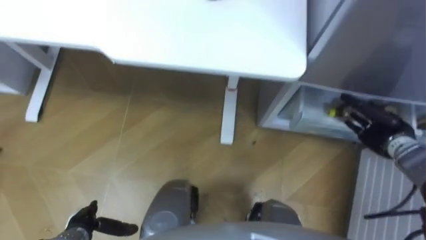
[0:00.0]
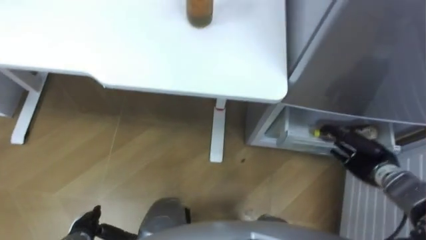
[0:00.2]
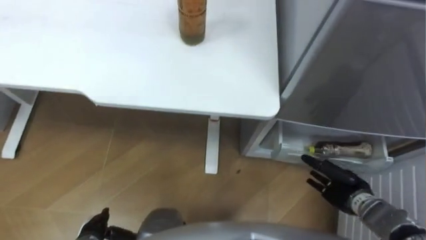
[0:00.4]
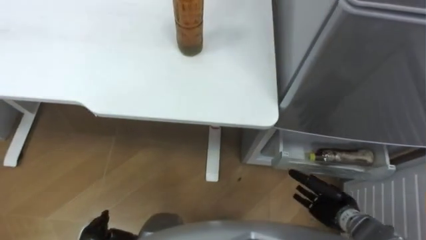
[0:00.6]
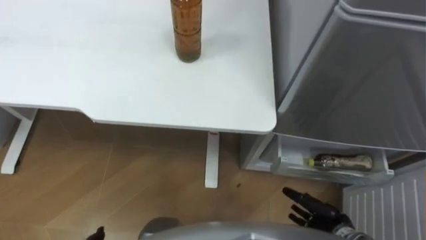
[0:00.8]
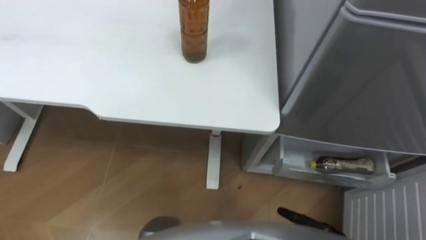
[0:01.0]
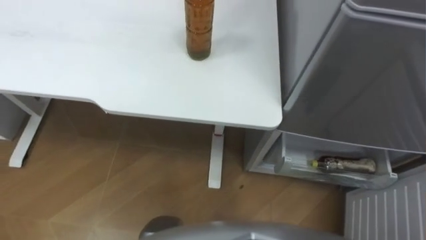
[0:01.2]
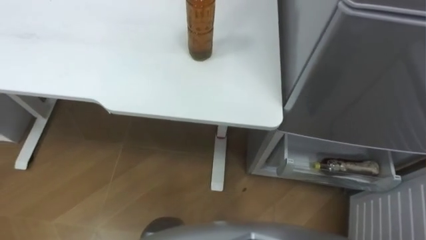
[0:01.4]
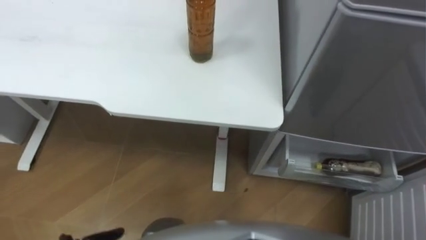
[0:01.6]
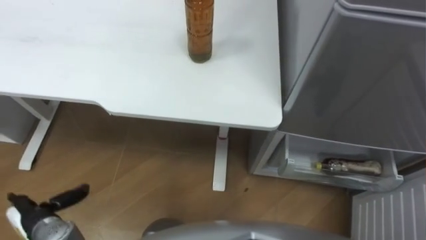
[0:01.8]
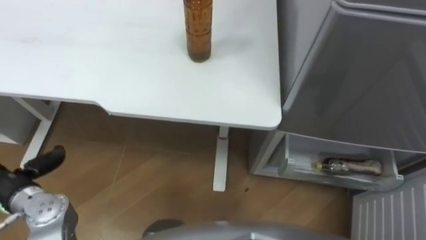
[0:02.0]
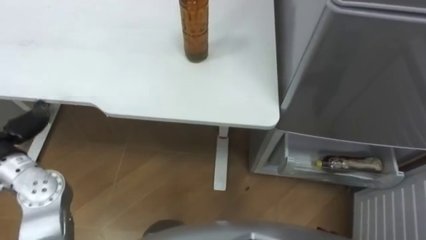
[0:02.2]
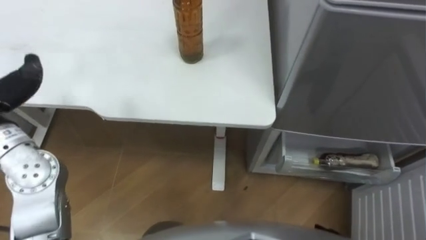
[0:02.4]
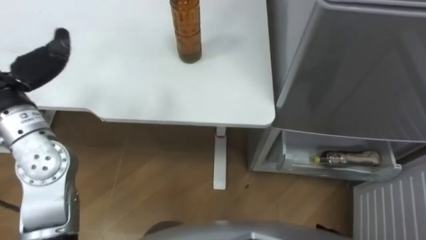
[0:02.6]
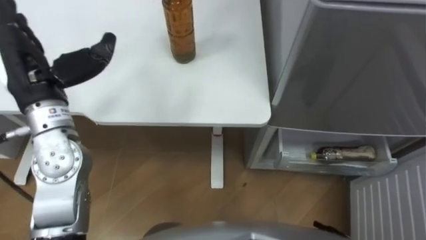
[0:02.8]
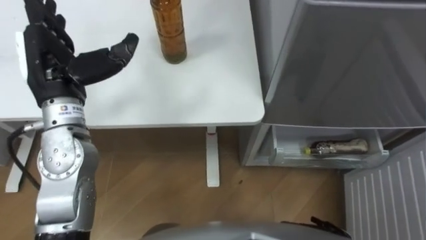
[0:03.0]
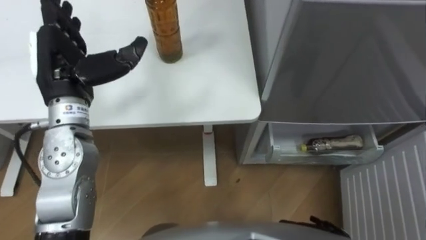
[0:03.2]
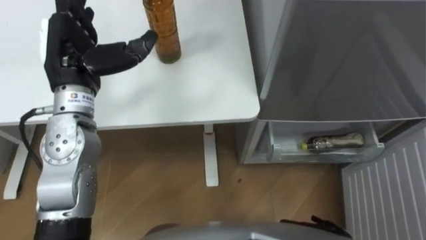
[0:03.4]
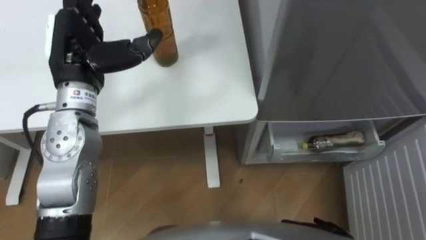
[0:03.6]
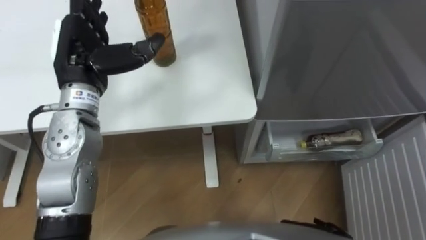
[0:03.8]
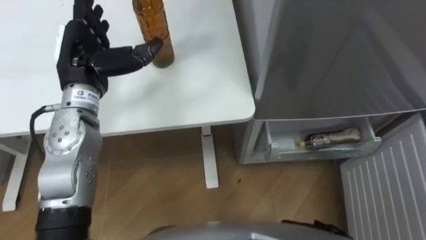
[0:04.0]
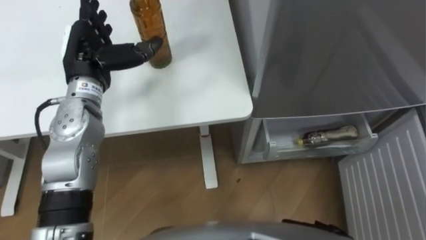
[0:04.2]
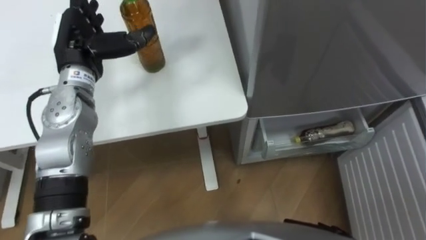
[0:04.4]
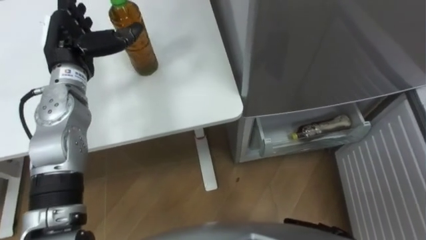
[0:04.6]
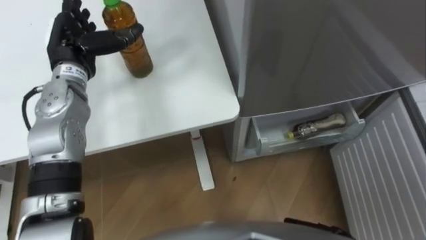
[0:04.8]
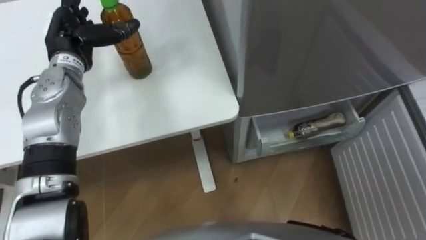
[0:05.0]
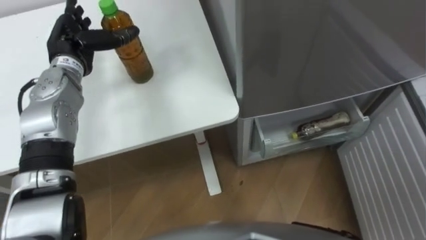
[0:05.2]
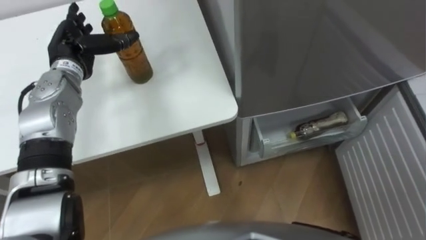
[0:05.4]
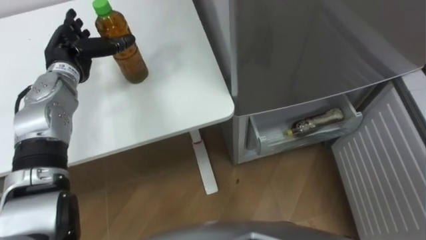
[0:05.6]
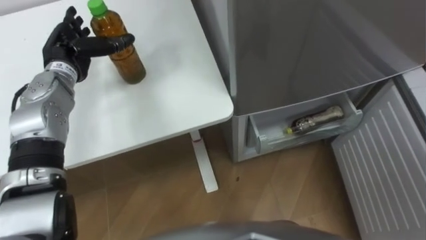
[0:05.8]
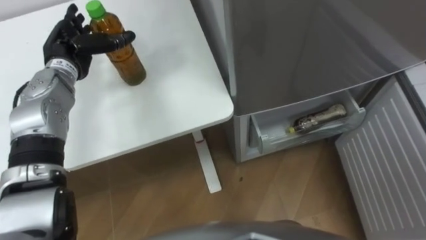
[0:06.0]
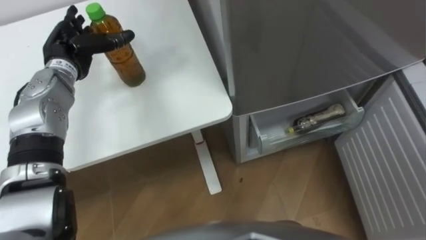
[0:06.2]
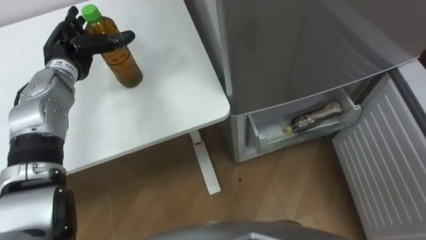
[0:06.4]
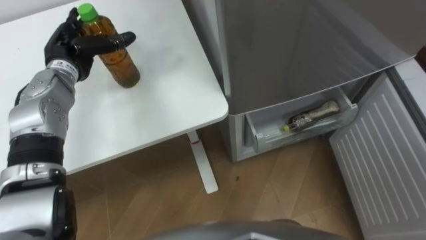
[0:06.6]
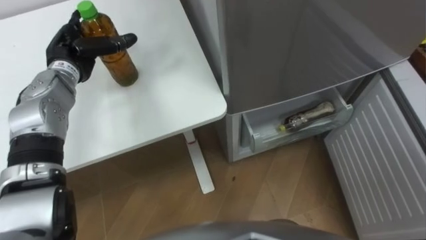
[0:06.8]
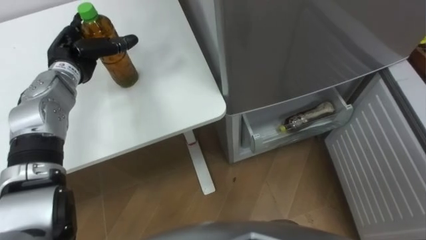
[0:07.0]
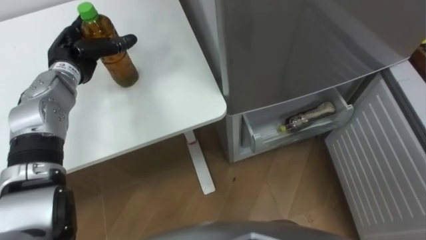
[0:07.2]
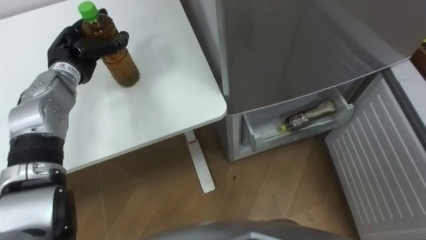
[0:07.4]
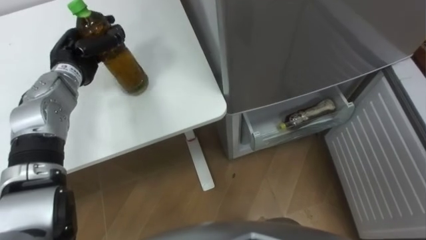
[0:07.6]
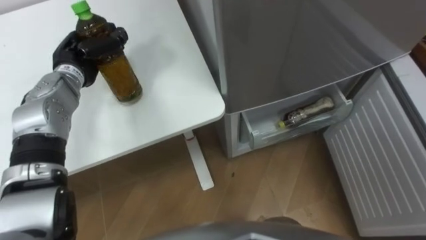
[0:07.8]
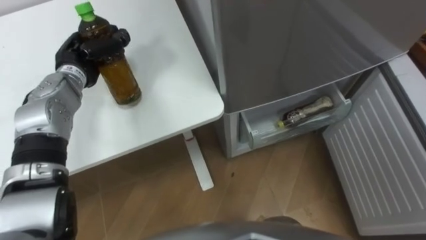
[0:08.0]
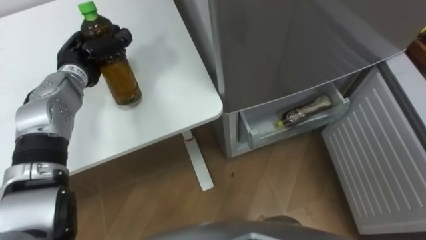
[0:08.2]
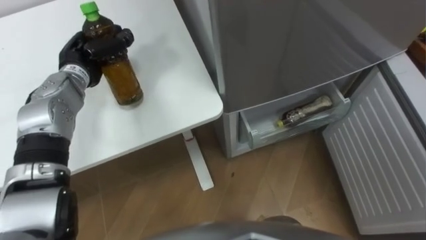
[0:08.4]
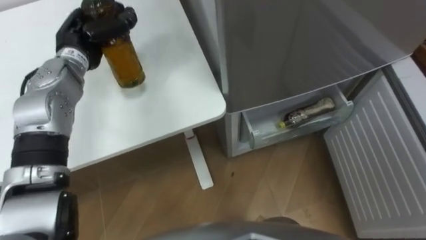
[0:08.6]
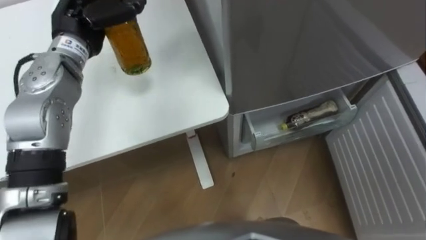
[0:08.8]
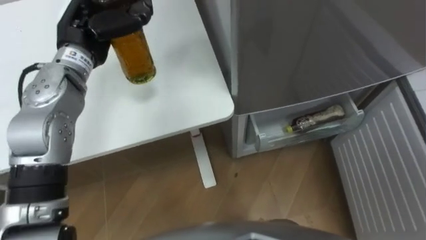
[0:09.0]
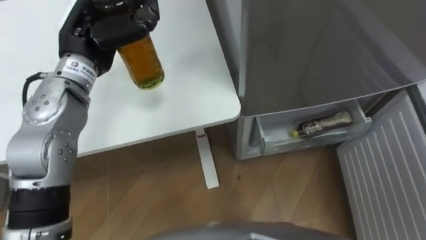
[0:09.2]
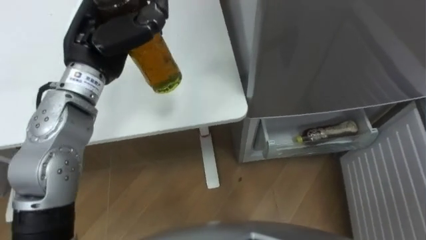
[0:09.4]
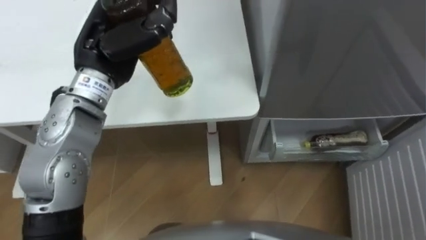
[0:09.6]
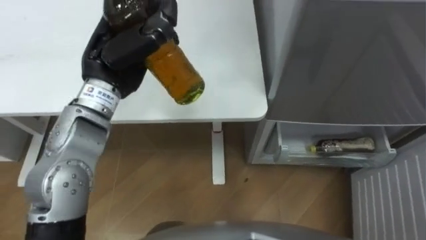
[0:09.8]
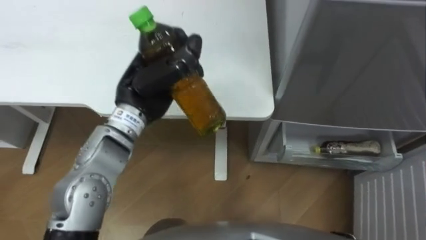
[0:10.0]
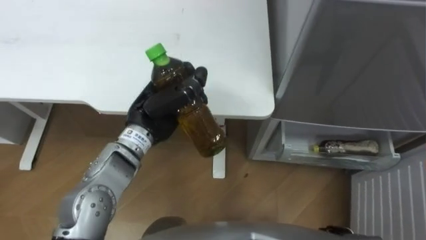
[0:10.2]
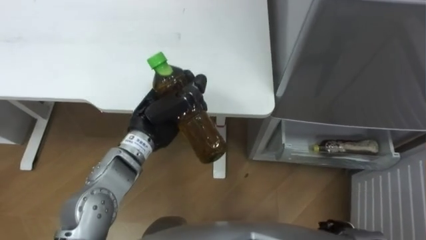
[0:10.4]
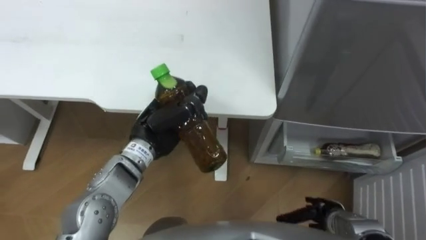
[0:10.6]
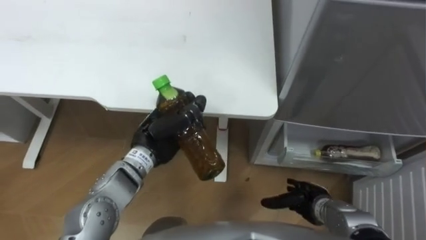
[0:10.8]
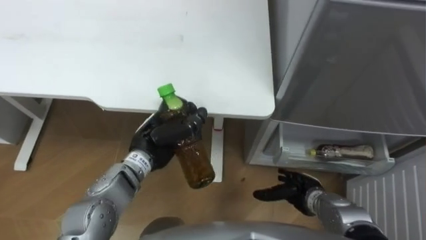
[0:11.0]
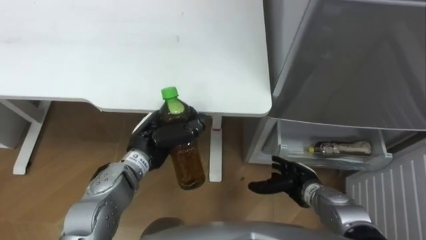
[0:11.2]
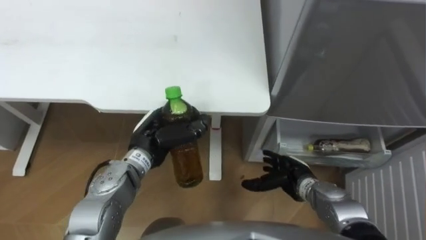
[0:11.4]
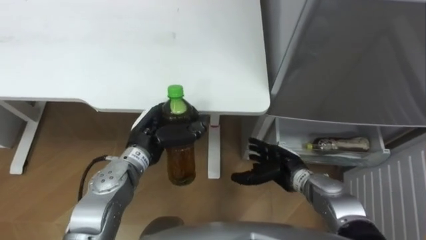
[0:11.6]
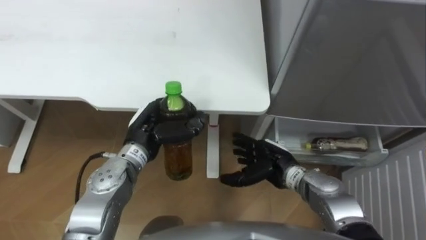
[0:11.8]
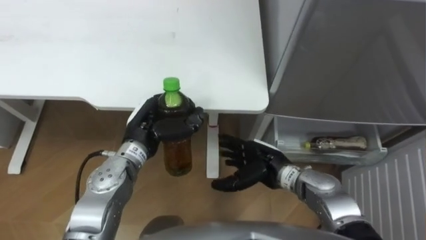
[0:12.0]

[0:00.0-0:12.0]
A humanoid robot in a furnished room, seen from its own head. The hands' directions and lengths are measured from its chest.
Task of the whole recording: Place the drink on the table on the bottom shelf of the refrigerator, then close the drawer and the refrigerator door.
0:03.0 to 0:04.4: The left hand shifts about 5 cm forward.
0:04.4 to 0:06.0: The left hand moves about 5 cm.
0:06.0 to 0:07.6: The left hand closes.
0:07.6 to 0:09.0: The left hand shifts about 10 cm upward and to the right.
0:09.0 to 0:10.4: The left hand shifts approximately 15 cm backward, downward and to the right.
0:10.4 to 0:12.0: The right hand travels to the left, forward and upward by about 25 cm.

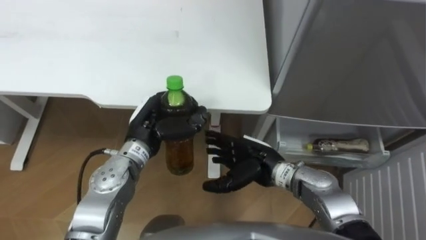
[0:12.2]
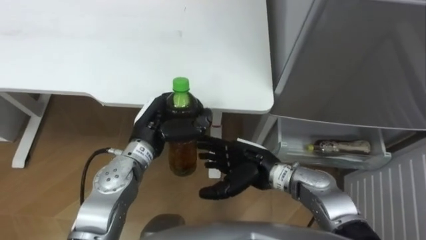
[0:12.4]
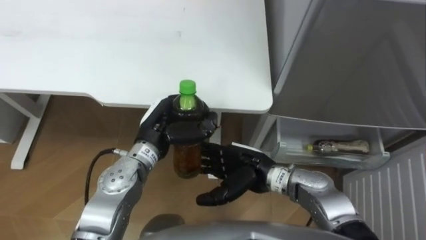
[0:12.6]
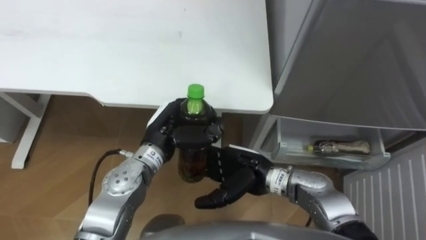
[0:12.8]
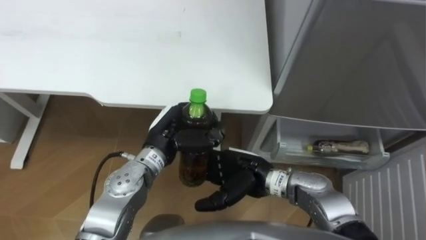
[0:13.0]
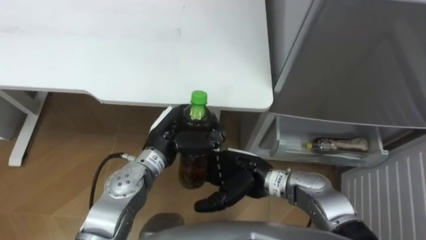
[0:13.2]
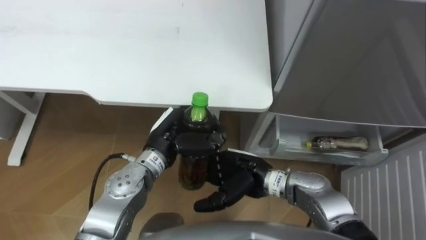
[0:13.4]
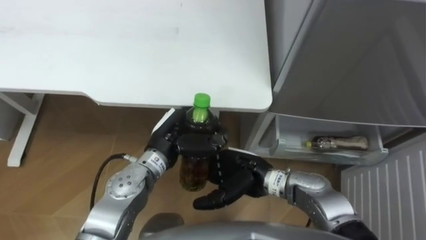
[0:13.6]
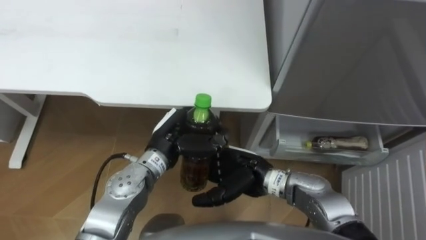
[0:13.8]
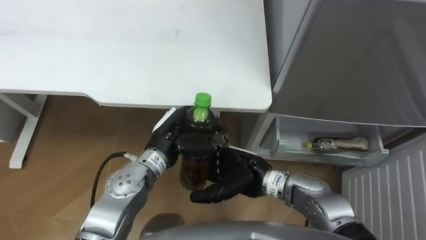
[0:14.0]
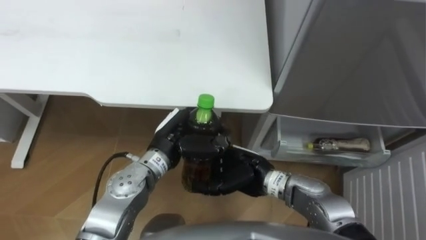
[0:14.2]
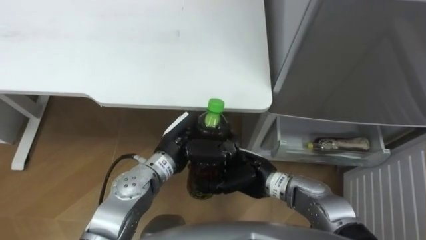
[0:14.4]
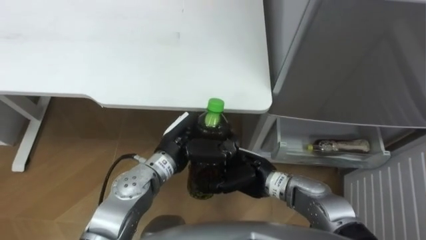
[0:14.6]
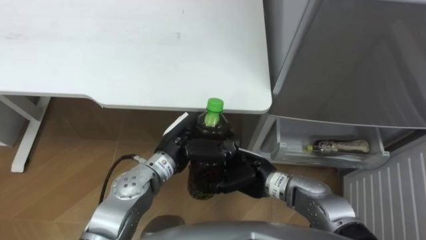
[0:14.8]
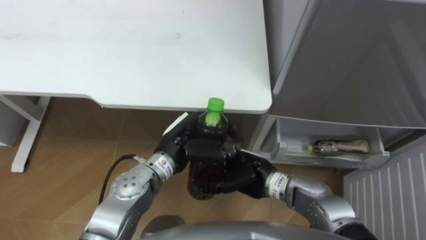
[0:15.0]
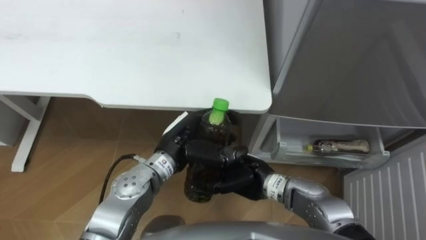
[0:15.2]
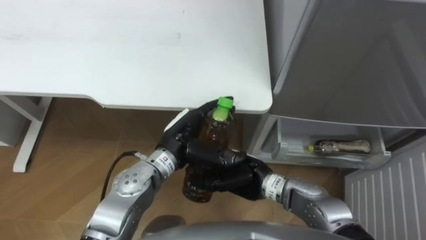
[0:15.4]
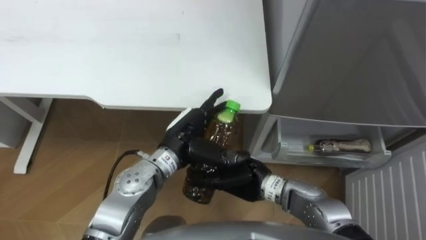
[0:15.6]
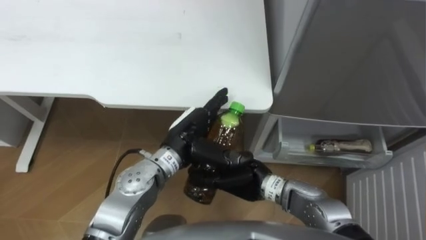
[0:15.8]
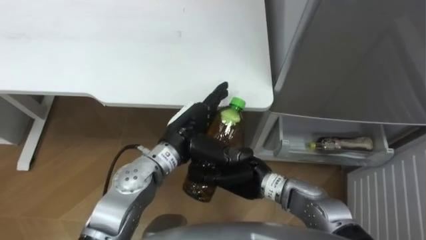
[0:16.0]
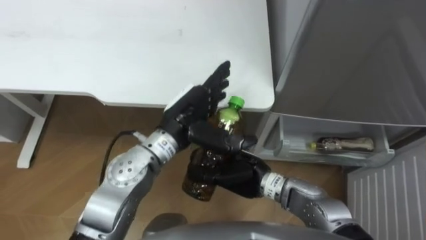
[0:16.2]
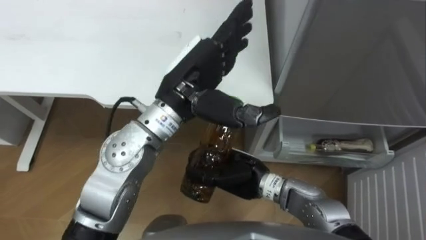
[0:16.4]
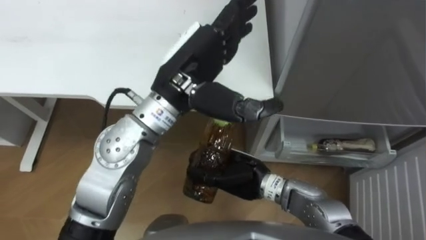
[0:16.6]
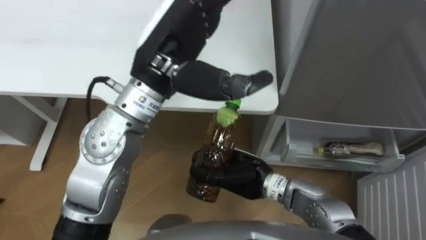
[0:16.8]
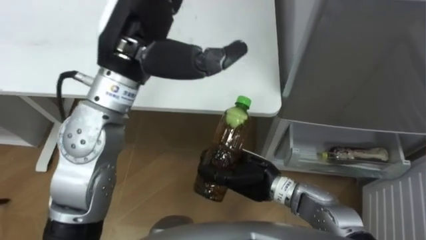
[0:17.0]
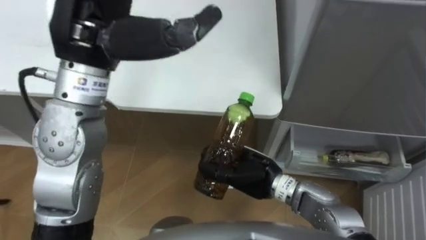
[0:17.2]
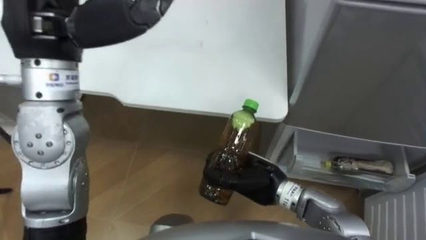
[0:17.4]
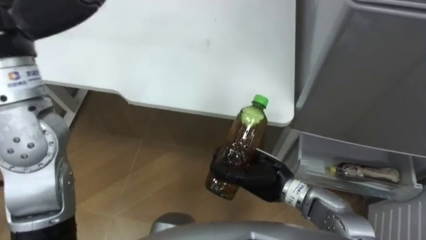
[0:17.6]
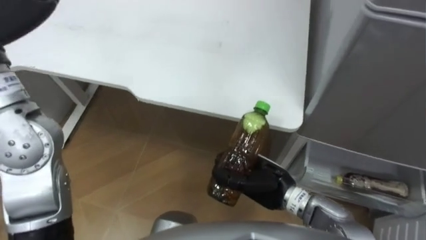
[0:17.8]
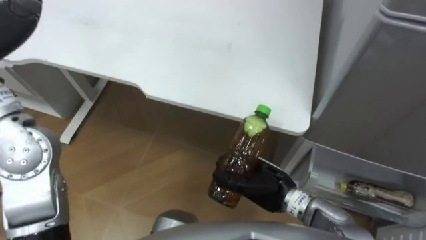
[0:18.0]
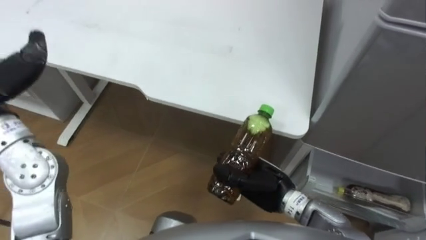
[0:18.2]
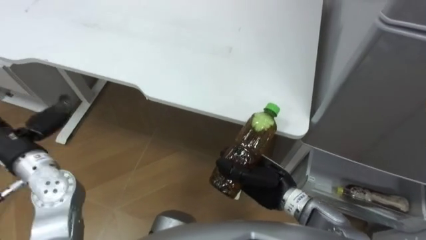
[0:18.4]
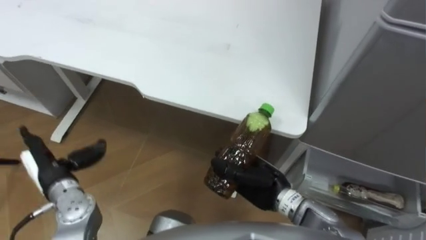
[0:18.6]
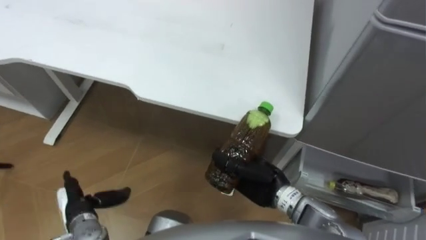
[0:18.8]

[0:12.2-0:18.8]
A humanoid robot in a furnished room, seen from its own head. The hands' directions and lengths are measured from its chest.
Task of the whole recording: Place the drink on the table on the bottom shelf of the refrigerator, then close the drawer and the refrigerator door.
0:12.2 to 0:13.8: The left hand ends up some 5 cm from where it was.
0:13.8 to 0:15.4: The left hand opens its fingers, while the right hand closes up.
0:15.4 to 0:17.2: The left hand is displaced upward by about 25 cm.
